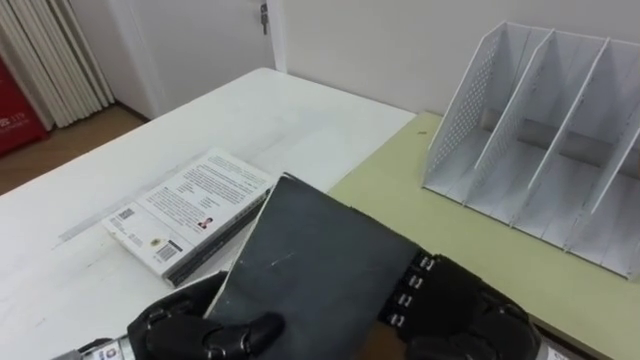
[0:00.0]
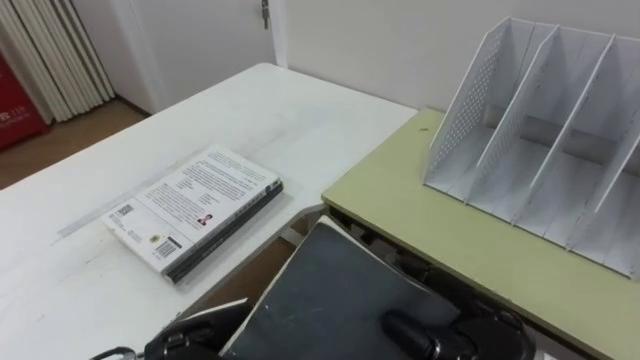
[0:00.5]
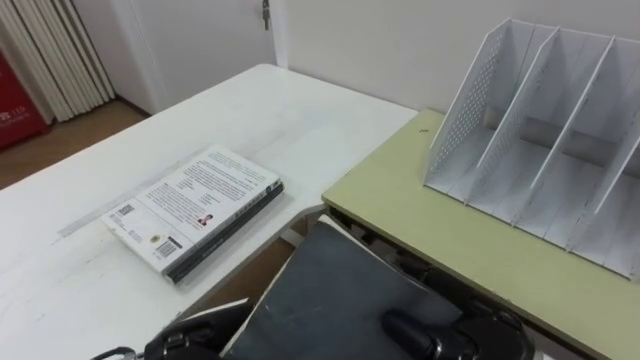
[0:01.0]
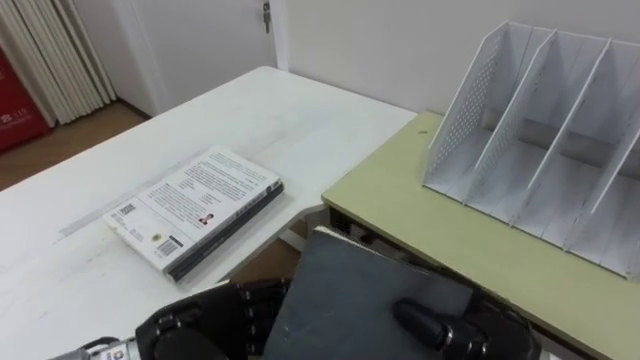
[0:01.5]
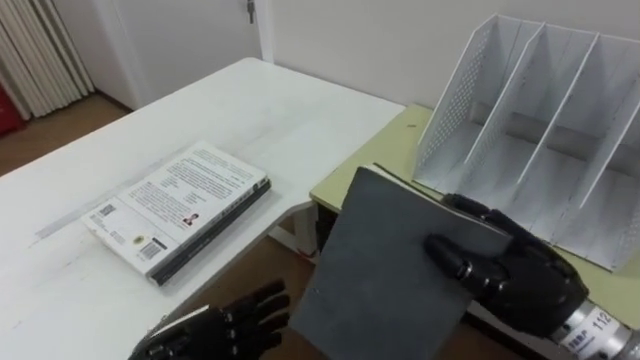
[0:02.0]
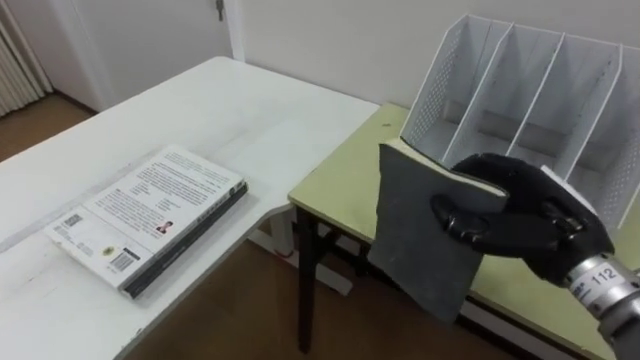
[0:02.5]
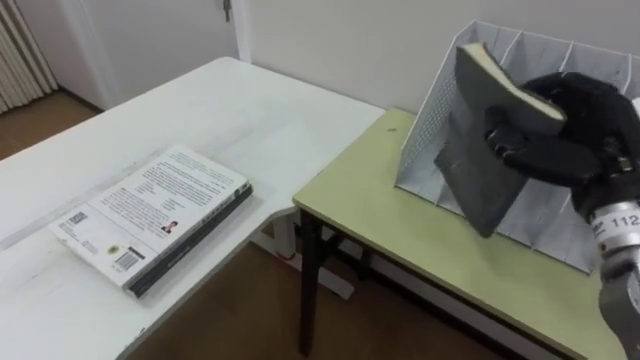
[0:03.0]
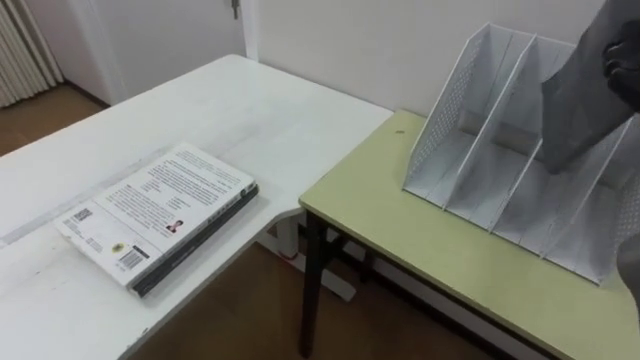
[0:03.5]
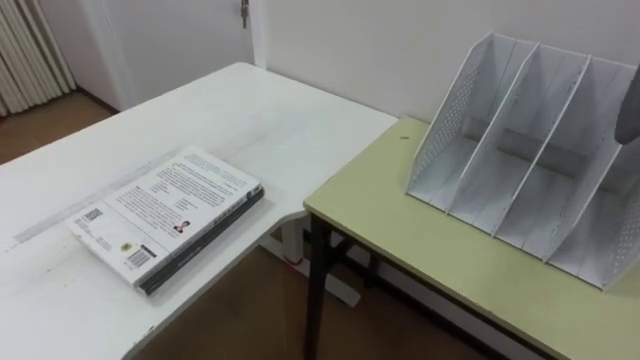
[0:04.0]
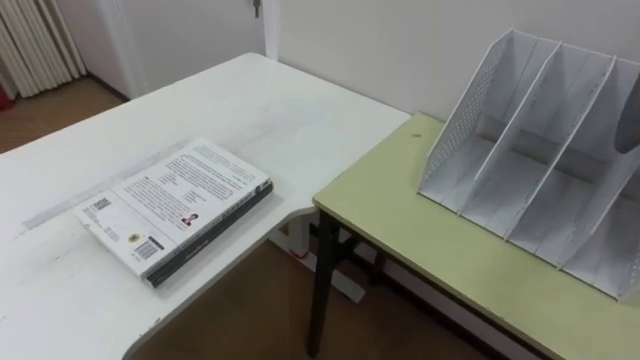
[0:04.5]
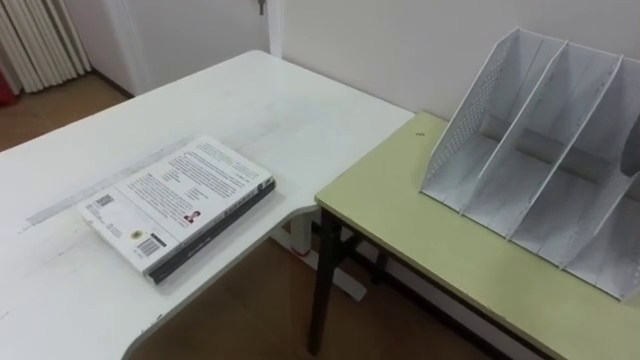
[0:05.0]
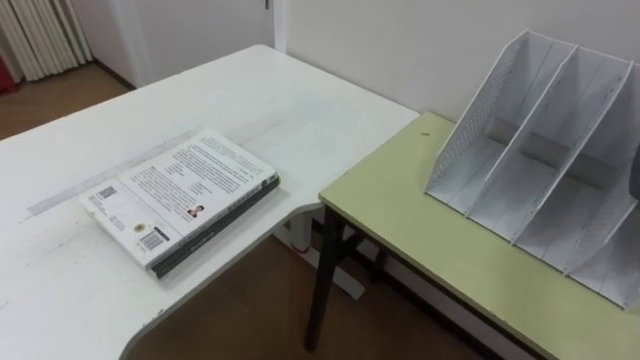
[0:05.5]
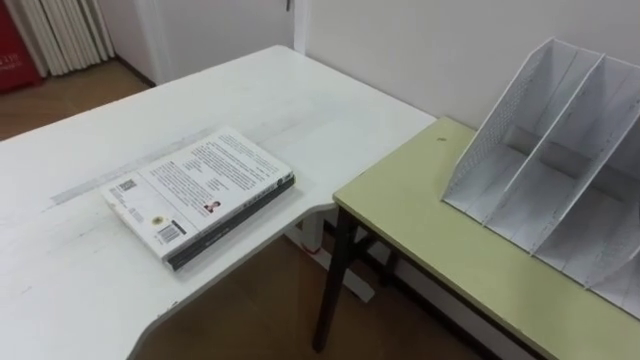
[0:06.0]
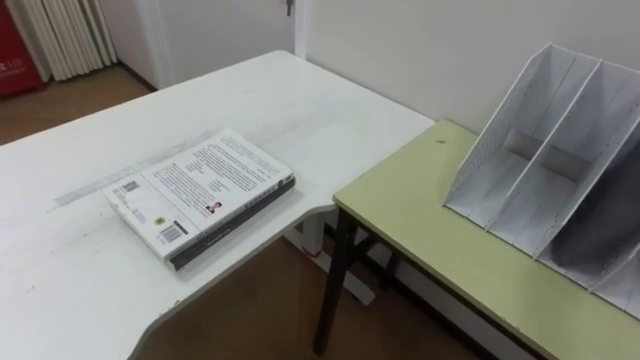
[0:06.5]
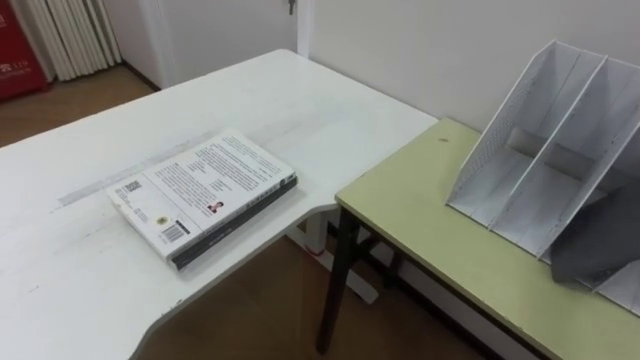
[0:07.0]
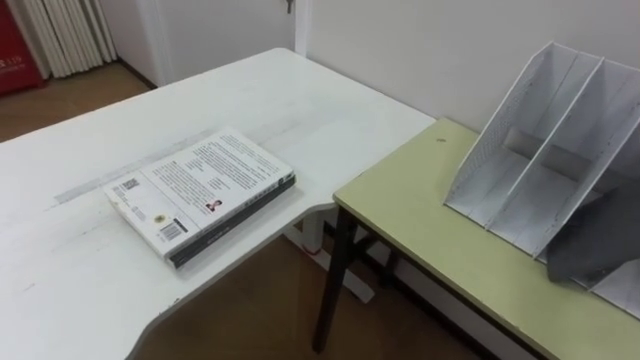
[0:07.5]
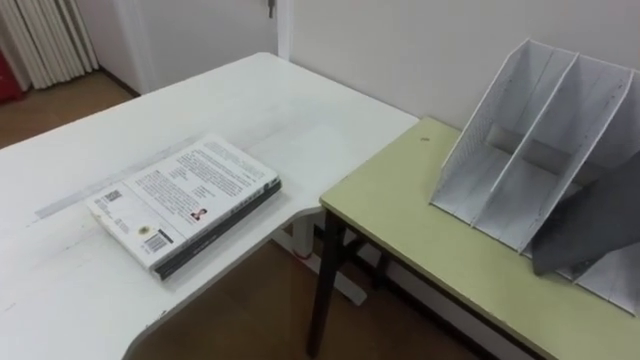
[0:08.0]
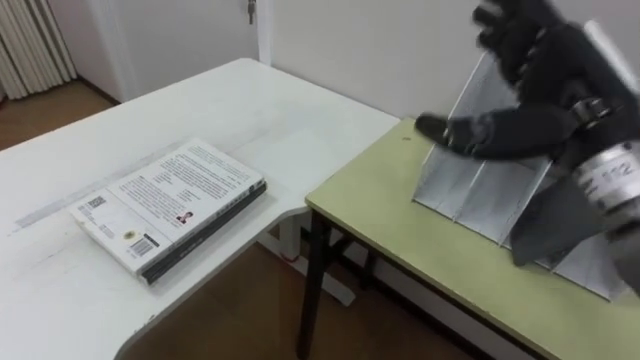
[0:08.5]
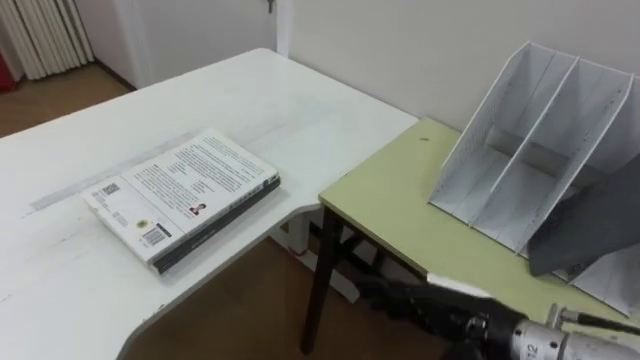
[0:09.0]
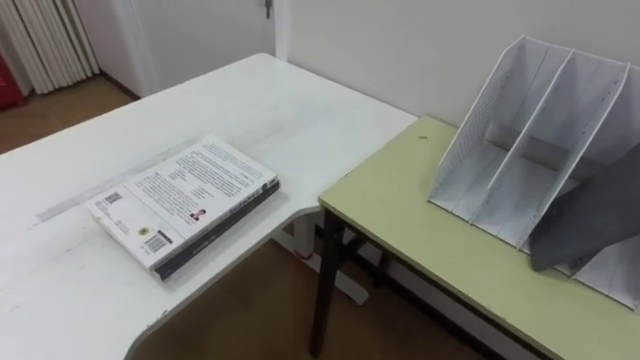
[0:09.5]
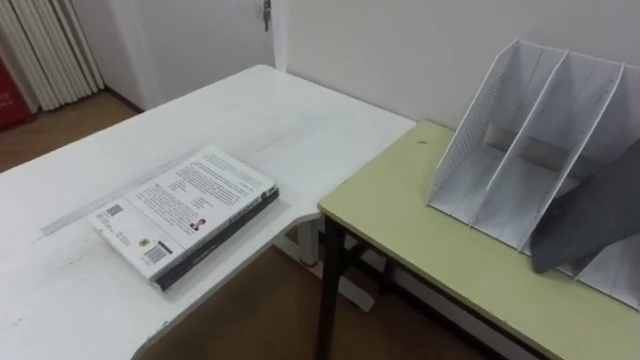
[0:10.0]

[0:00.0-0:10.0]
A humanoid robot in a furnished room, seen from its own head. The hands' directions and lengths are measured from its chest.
Task of the whole recording: Put the books on the table onto the bookshelf.
0:00.0 to 0:02.0: The right hand is displaced to the right by approximately 5 cm, and closes up; the left hand opens.

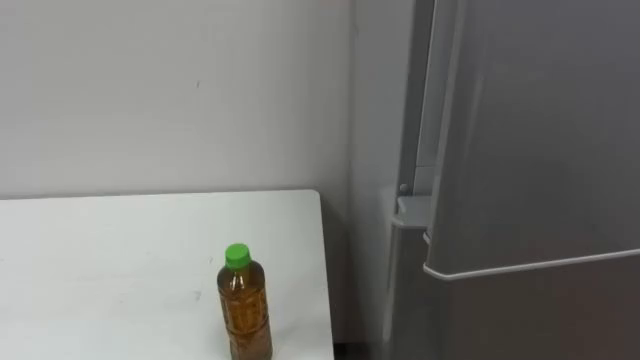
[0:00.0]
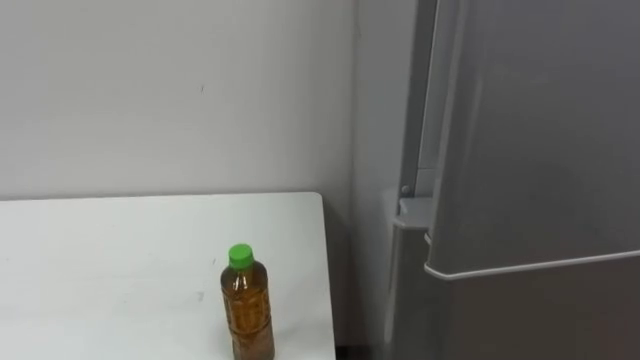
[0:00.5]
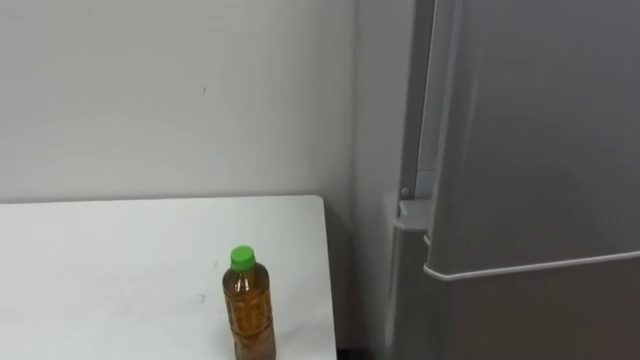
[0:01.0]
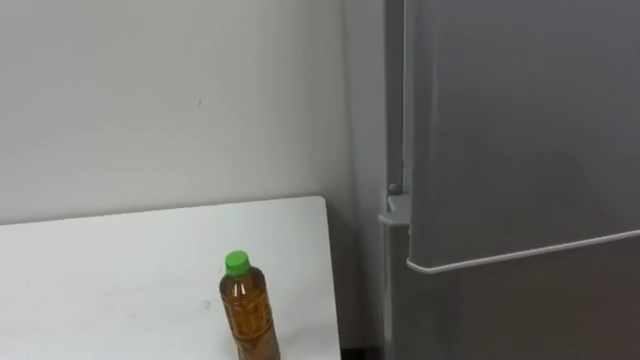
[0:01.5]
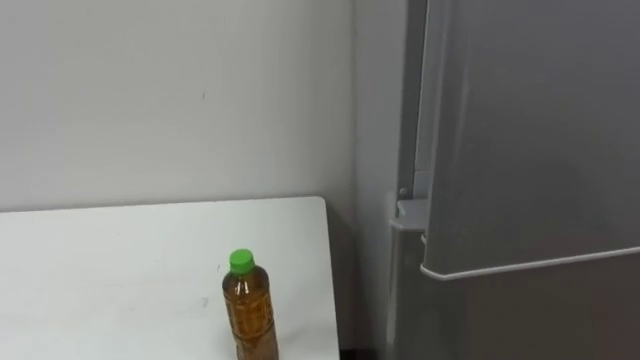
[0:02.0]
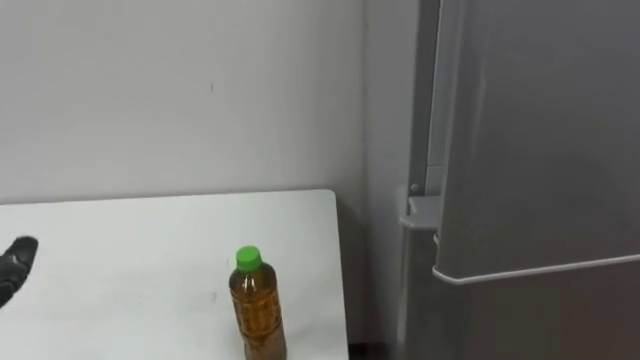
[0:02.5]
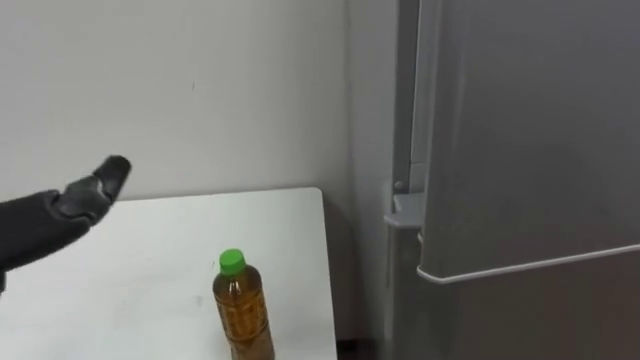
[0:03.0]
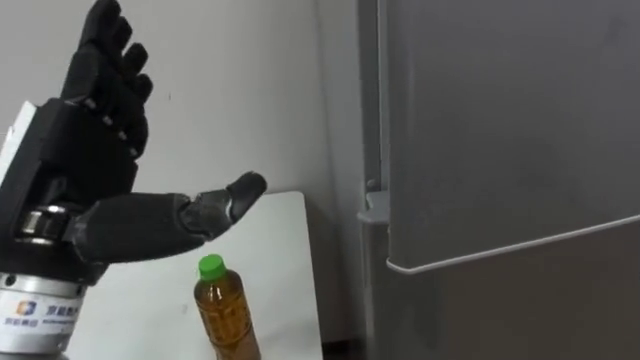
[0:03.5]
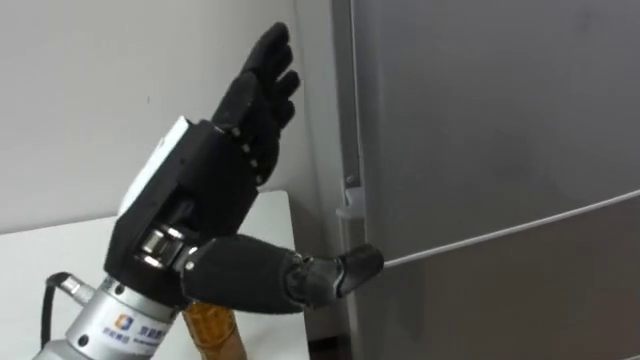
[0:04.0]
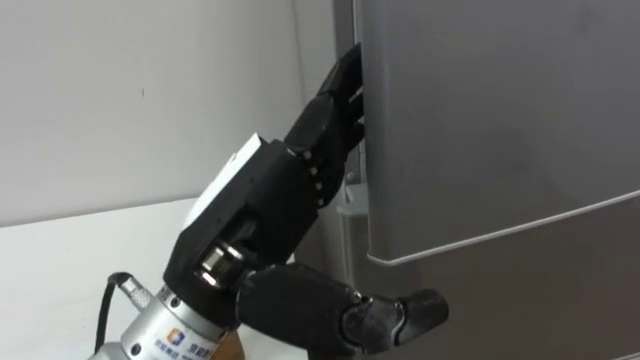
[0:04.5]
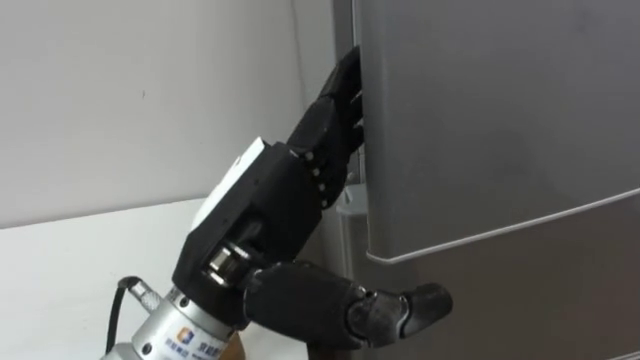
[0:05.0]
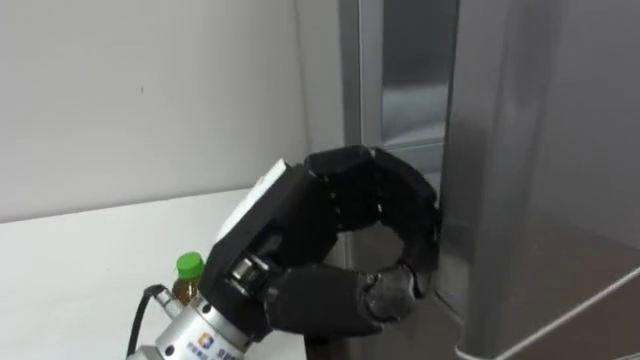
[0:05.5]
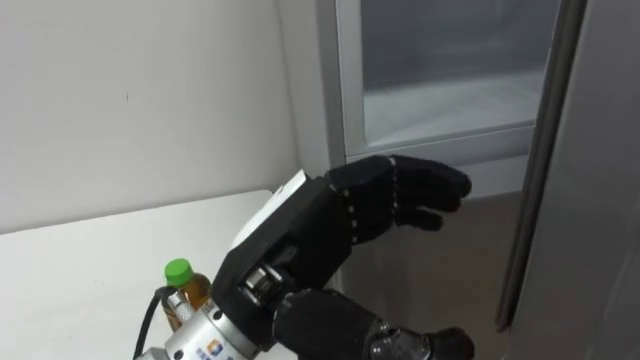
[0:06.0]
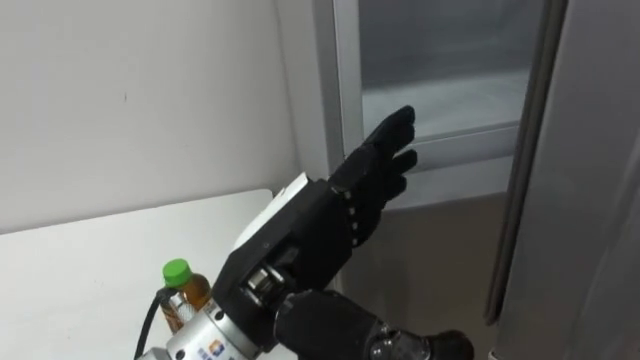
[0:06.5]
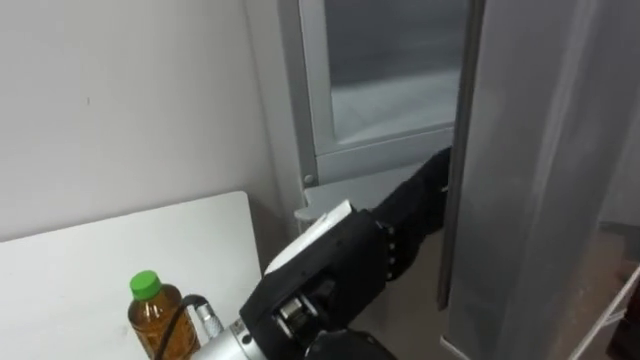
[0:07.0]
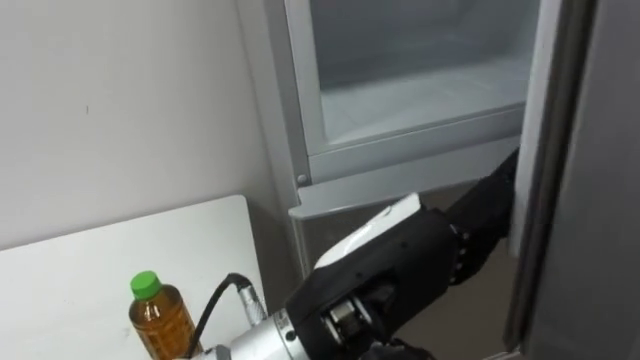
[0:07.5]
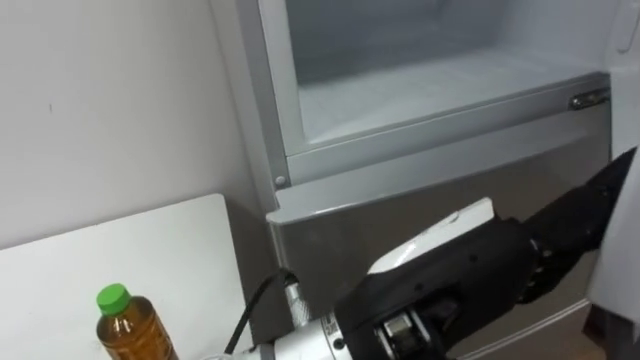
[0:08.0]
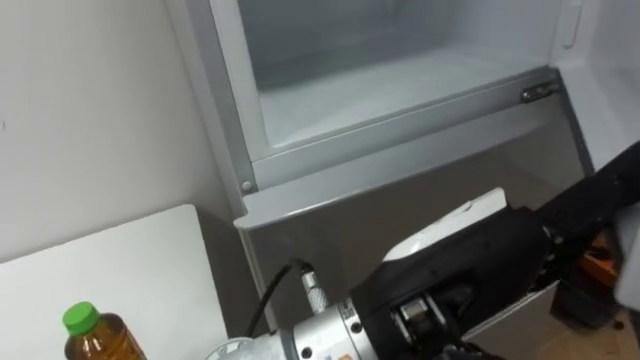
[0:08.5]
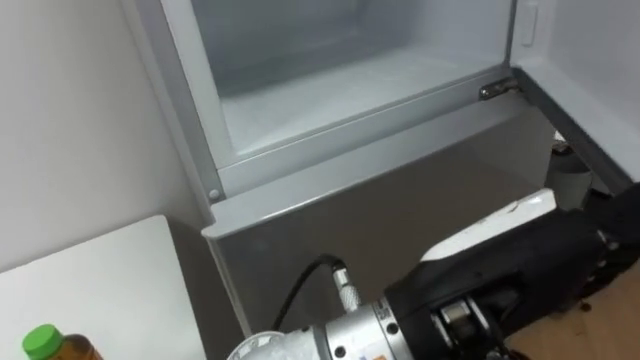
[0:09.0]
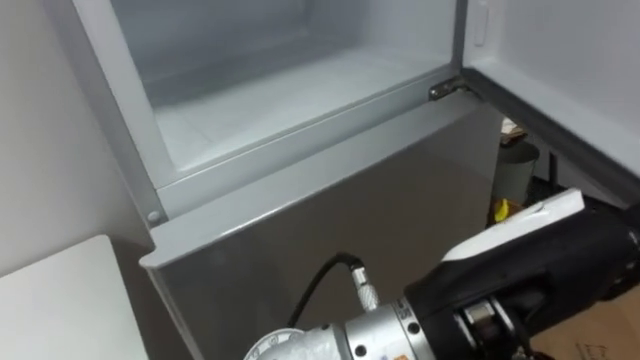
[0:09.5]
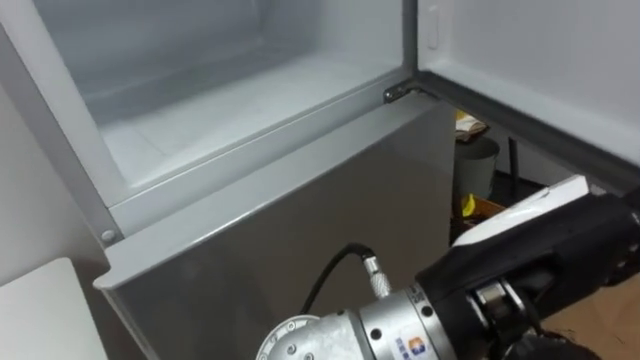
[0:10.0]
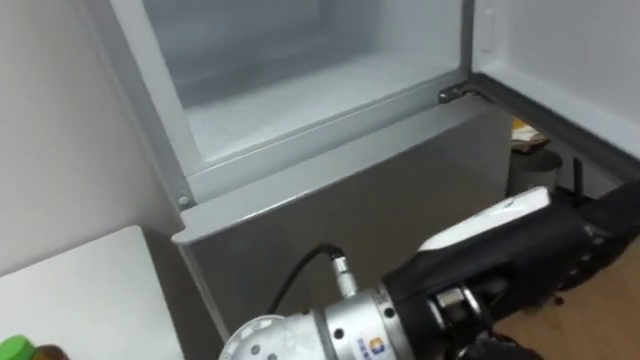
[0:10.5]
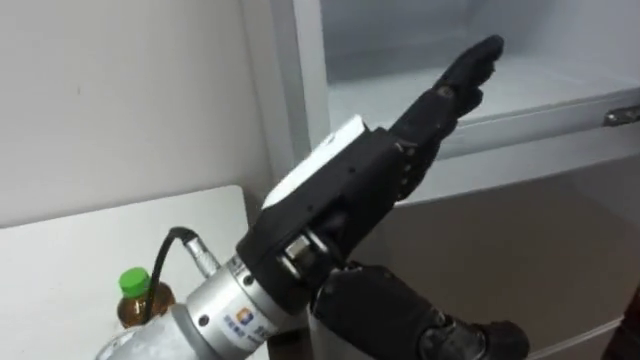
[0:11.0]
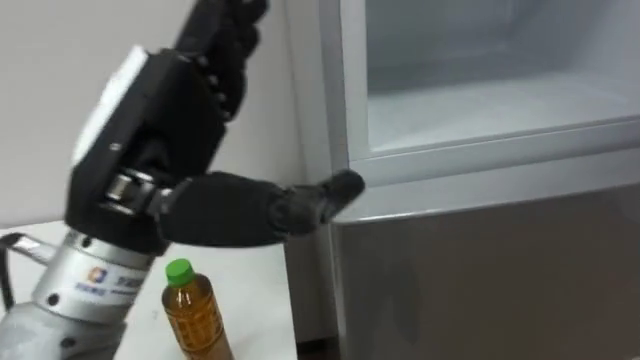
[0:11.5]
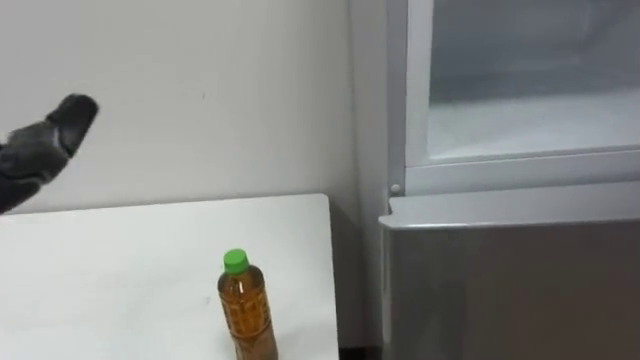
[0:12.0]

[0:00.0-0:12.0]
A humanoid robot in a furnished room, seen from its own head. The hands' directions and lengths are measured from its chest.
Task of the whole recording: Open the upper refrigerator door, put the drink from the table into the refrigerator, and then close the refrigerator door.
0:04.0 to 0:06.0: The left hand heads to the right, covering approximately 5 cm, and closes.
0:06.0 to 0:08.0: The left hand heads to the right and backward, covering approximately 10 cm, and opens.
0:08.0 to 0:10.0: The left hand shifts about 5 cm to the right.
